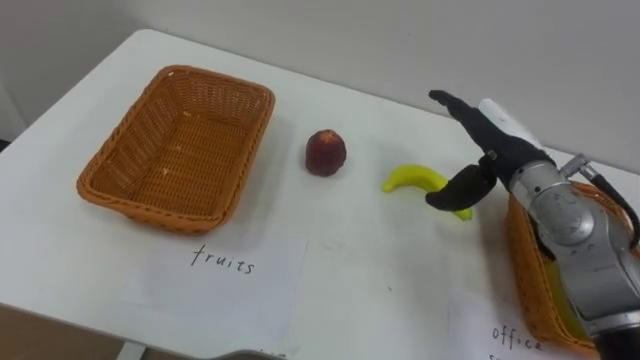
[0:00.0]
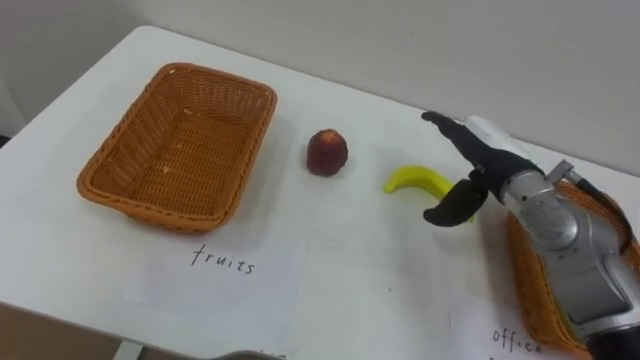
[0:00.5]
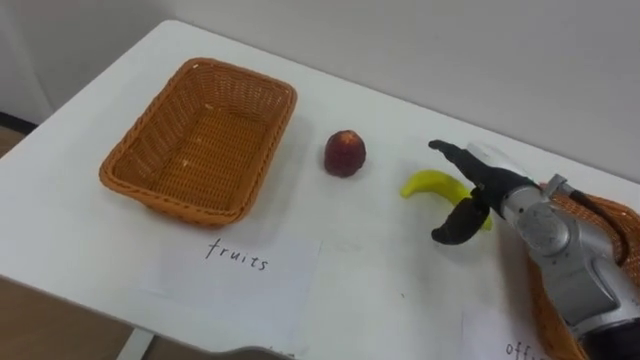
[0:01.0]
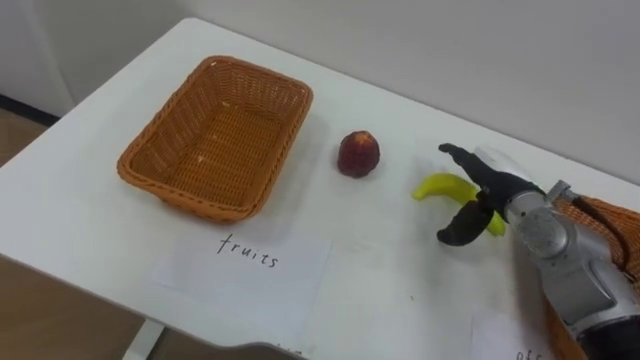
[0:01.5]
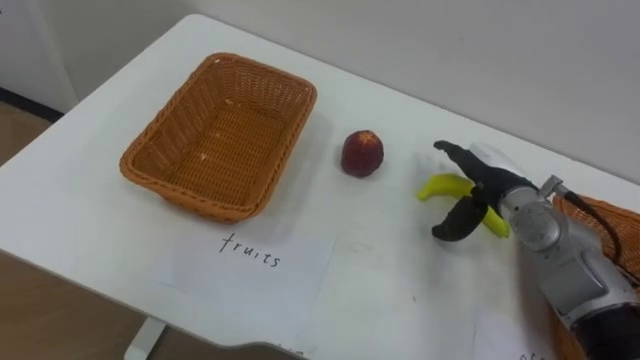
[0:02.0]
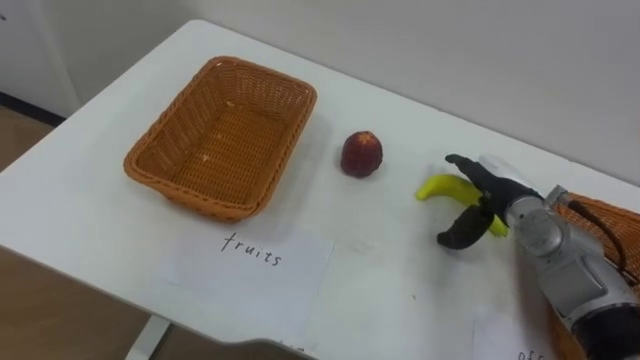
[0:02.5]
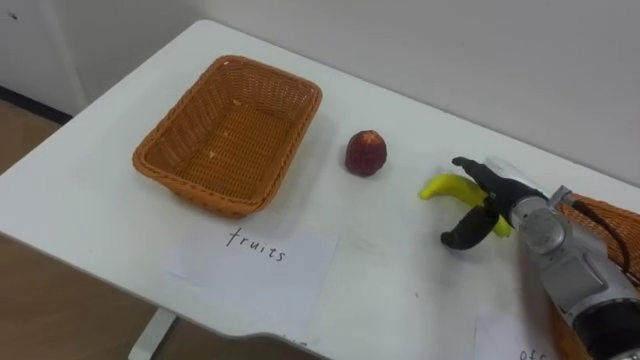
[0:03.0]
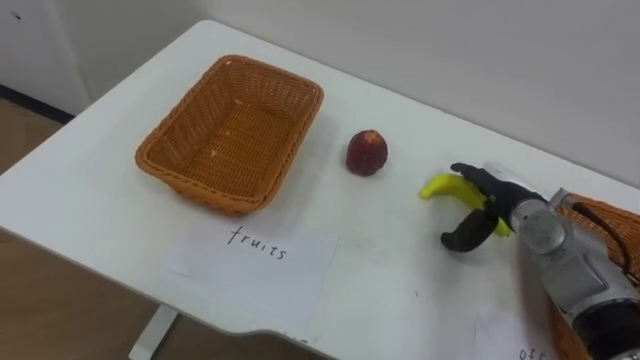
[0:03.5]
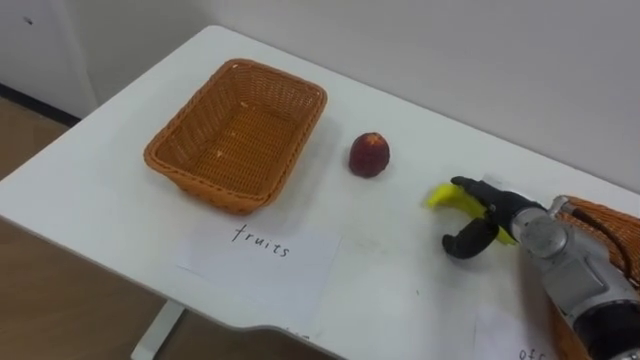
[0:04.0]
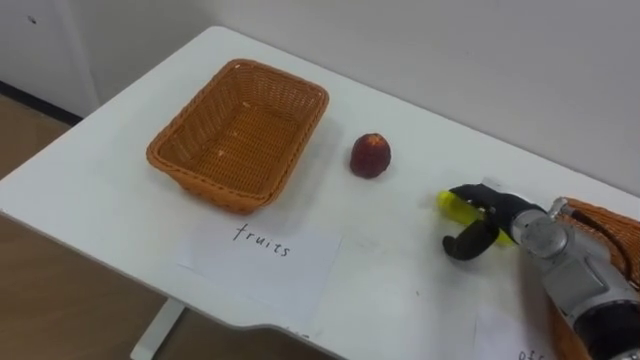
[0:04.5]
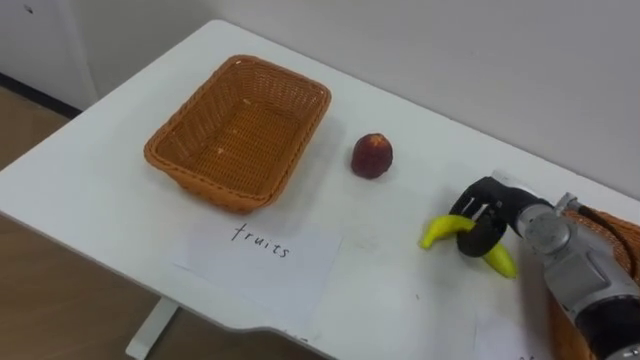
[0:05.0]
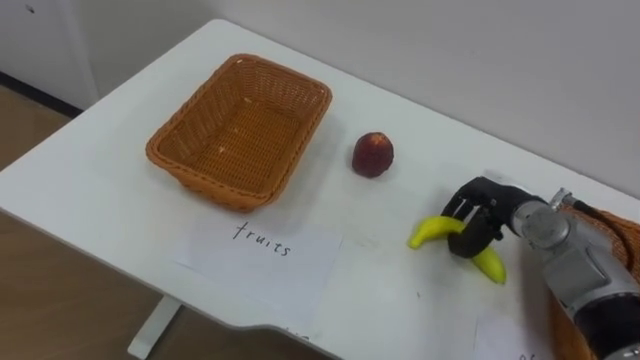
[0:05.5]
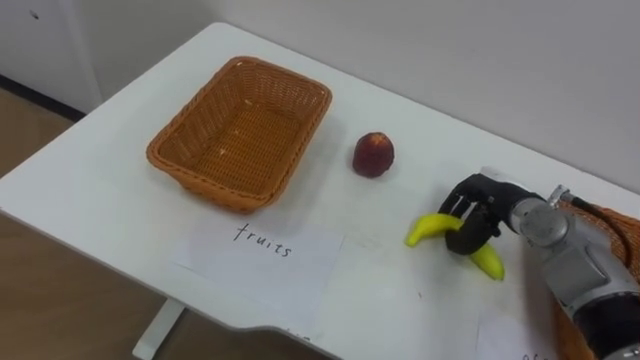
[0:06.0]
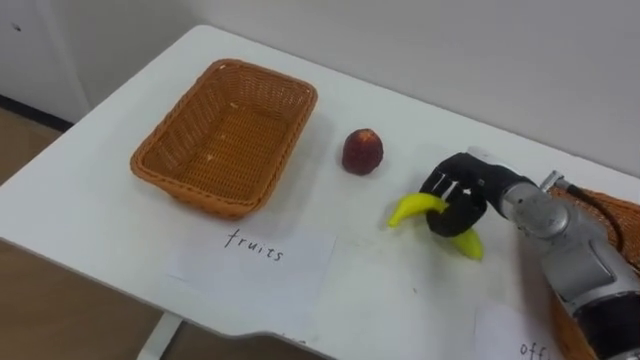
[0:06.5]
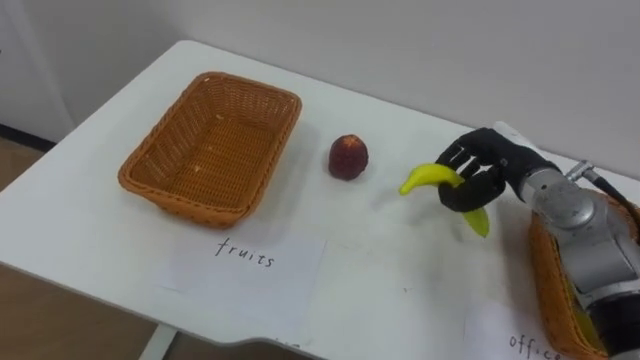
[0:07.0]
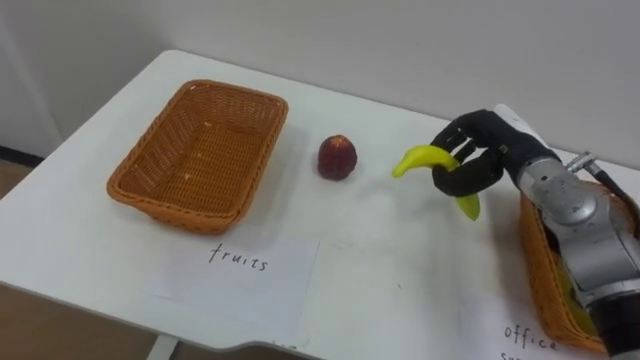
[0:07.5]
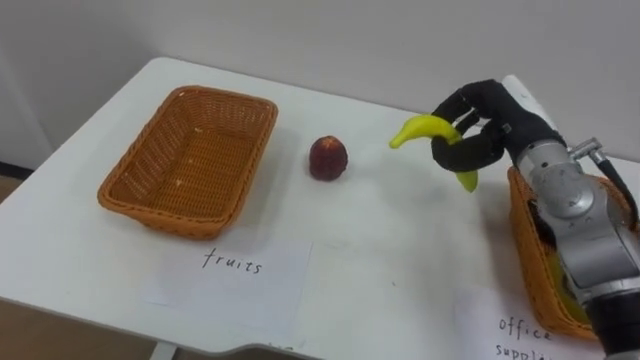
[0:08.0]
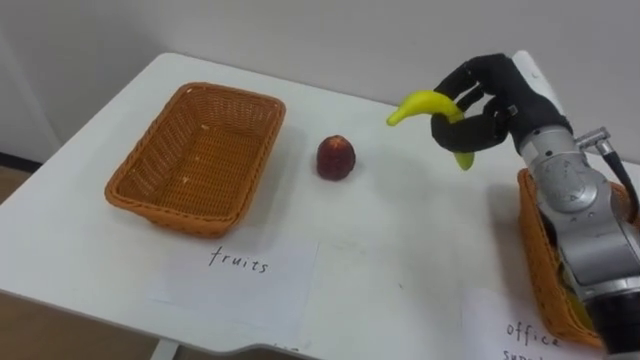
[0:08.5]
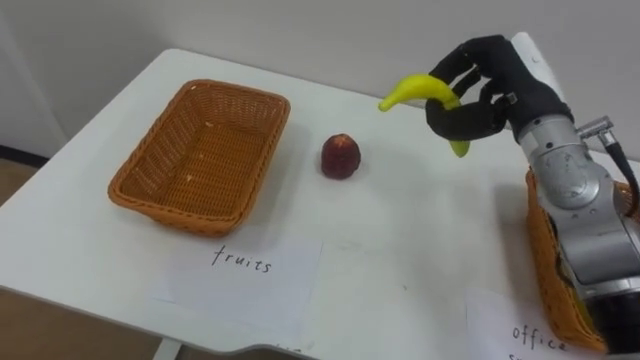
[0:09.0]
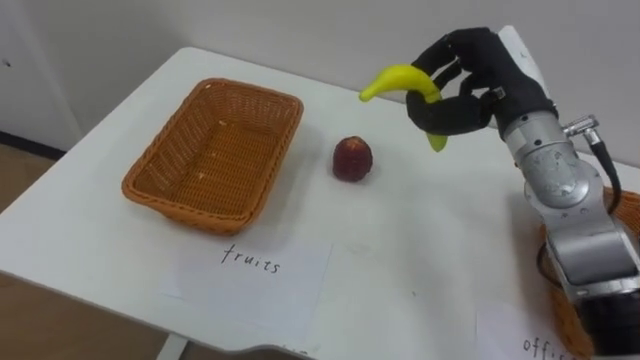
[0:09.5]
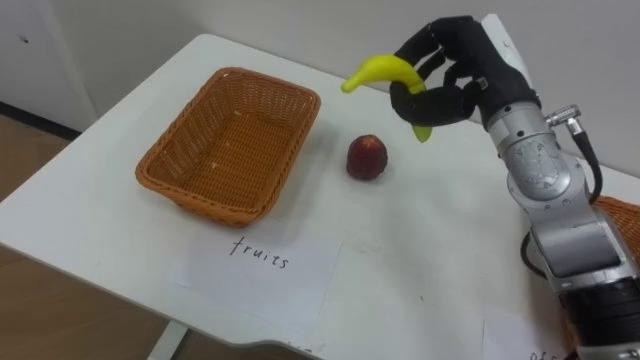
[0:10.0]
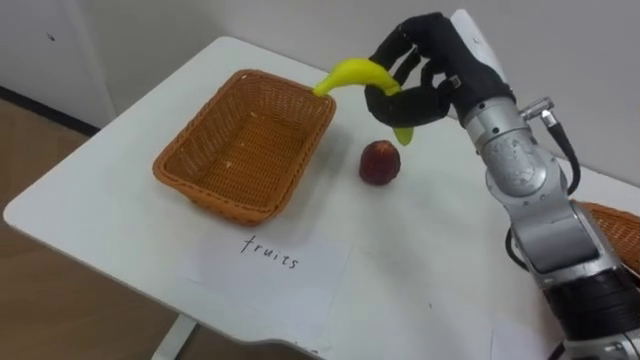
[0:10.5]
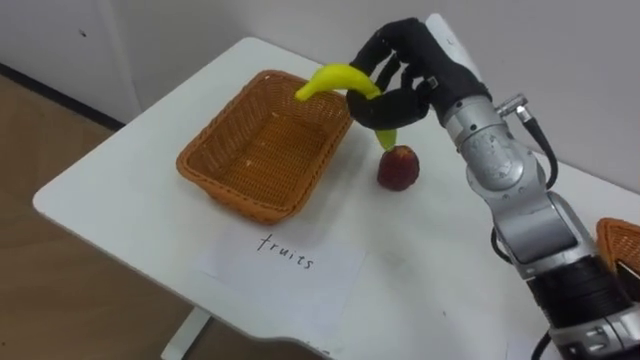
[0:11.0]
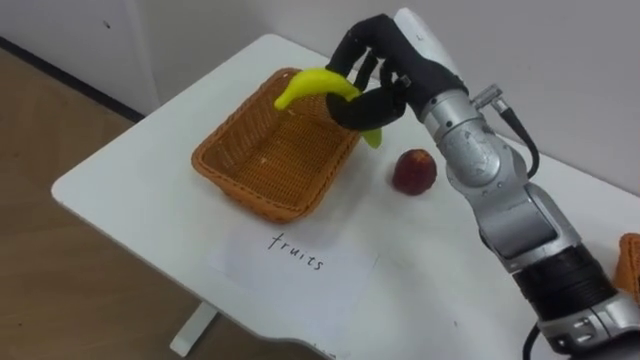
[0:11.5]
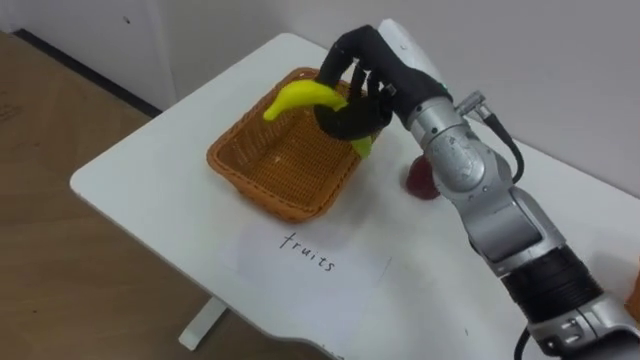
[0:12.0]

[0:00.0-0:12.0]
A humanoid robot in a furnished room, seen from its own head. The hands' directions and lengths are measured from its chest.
Task of the whole recording: Separate the items on the table and place them into the two baskets.
0.0 to 2.0 s: The right hand travels downward by some 5 cm.
2.0 to 4.0 s: The right hand moves roughly 5 cm.
4.0 to 6.0 s: The right hand closes.
6.0 to 8.0 s: The right hand is displaced upward by some 10 cm.
8.0 to 10.0 s: The right hand heads upward and to the left, covering approximately 10 cm.
10.0 to 12.0 s: The right hand goes about 10 cm to the left.

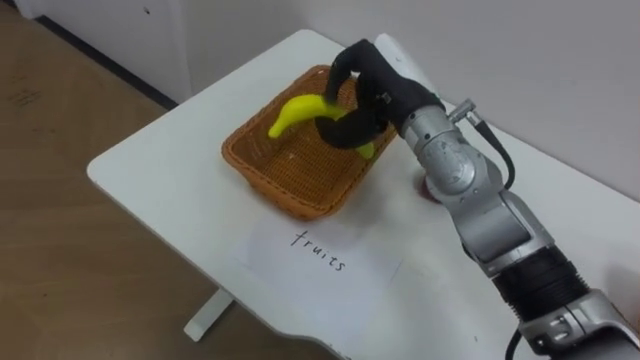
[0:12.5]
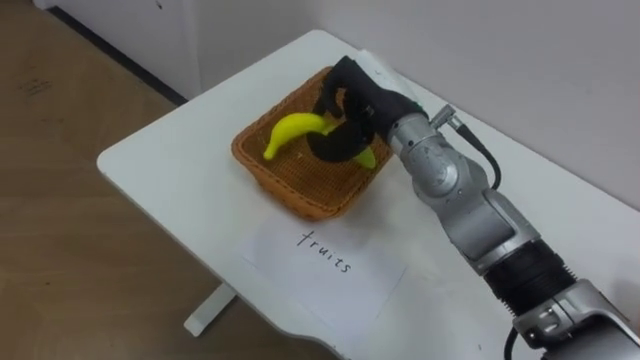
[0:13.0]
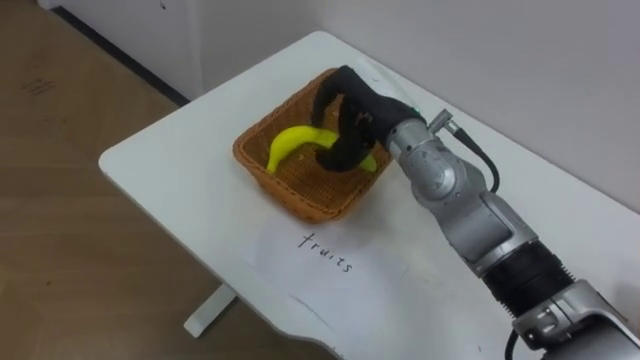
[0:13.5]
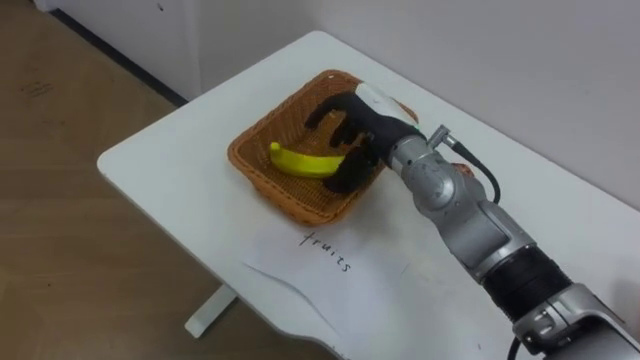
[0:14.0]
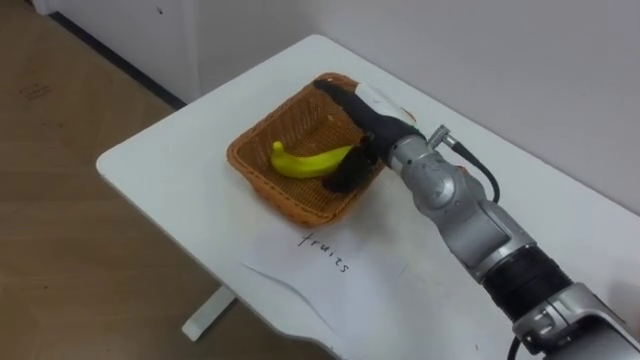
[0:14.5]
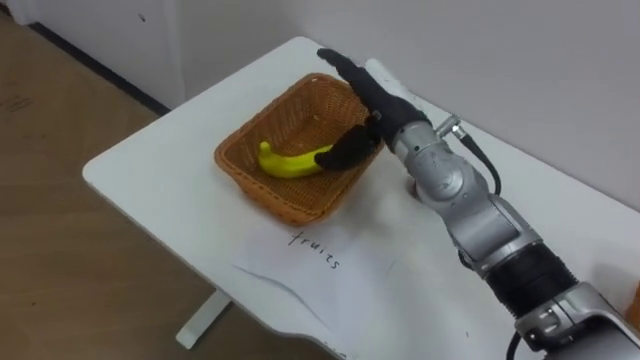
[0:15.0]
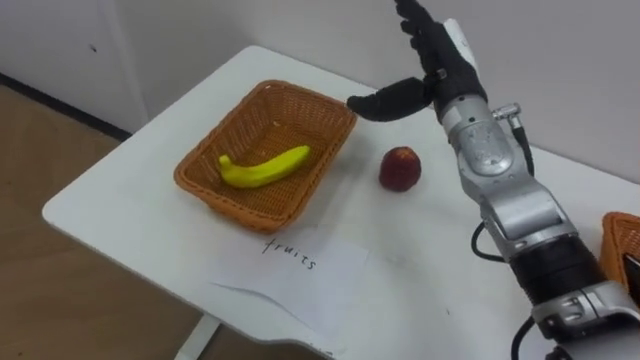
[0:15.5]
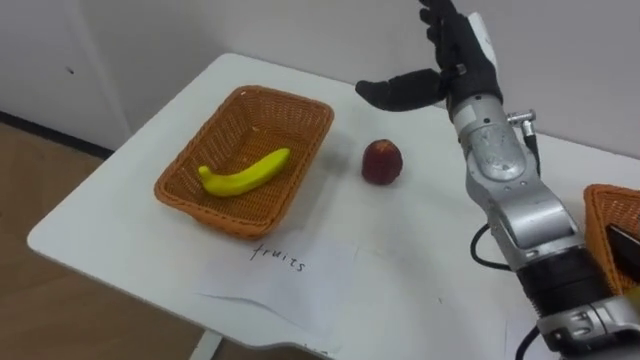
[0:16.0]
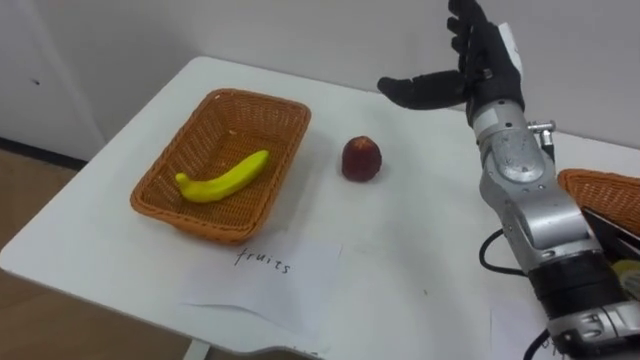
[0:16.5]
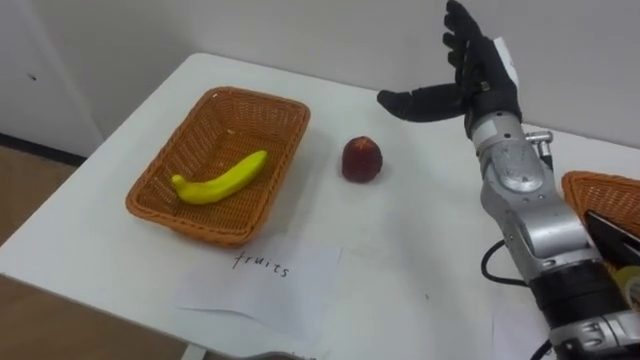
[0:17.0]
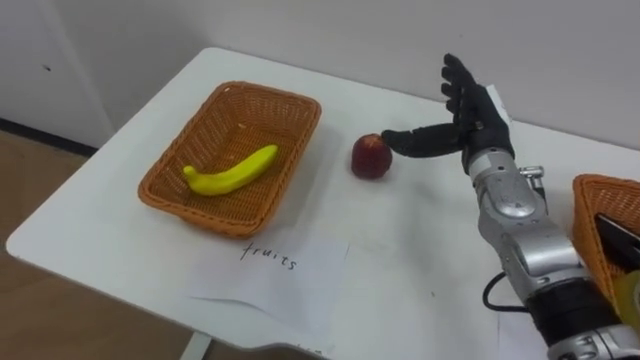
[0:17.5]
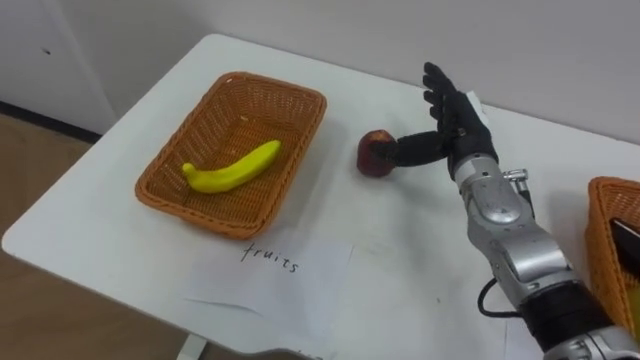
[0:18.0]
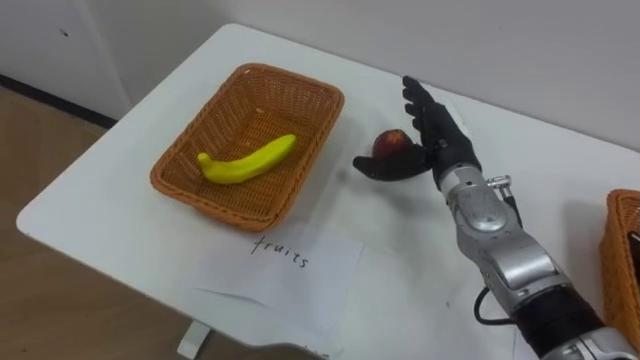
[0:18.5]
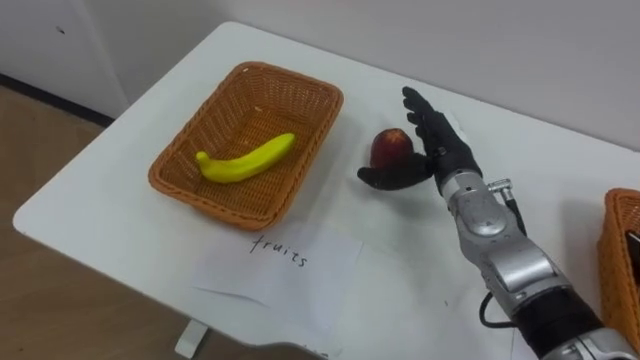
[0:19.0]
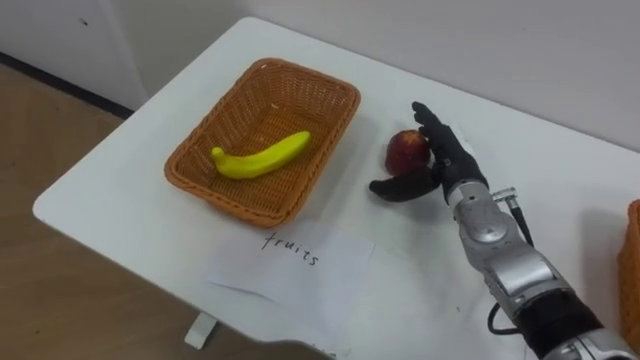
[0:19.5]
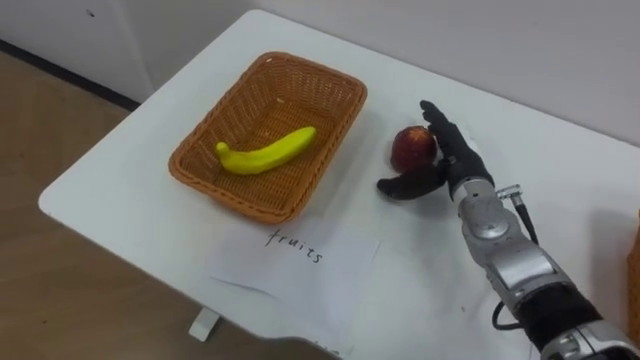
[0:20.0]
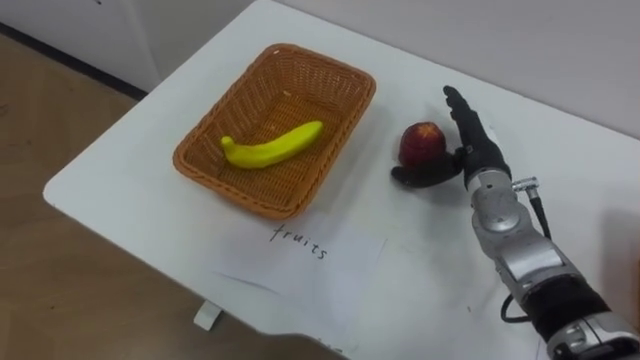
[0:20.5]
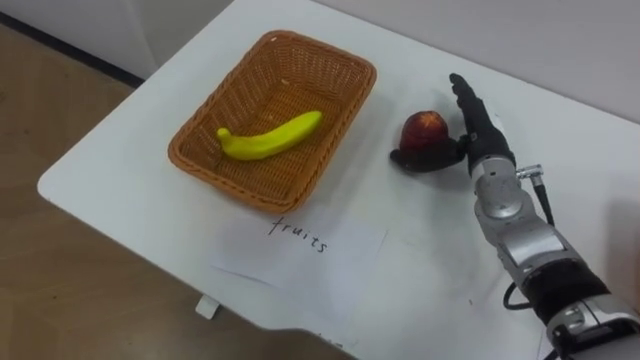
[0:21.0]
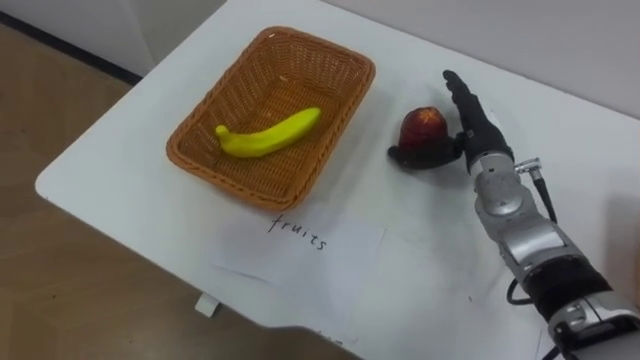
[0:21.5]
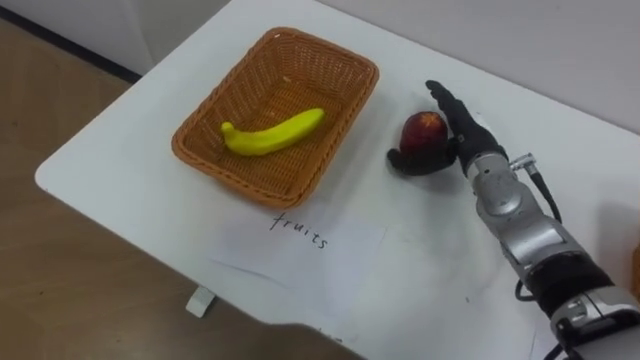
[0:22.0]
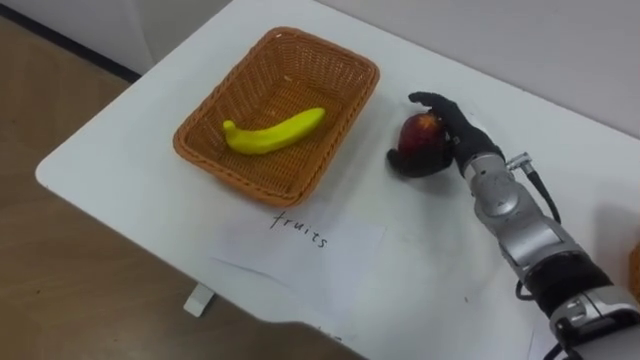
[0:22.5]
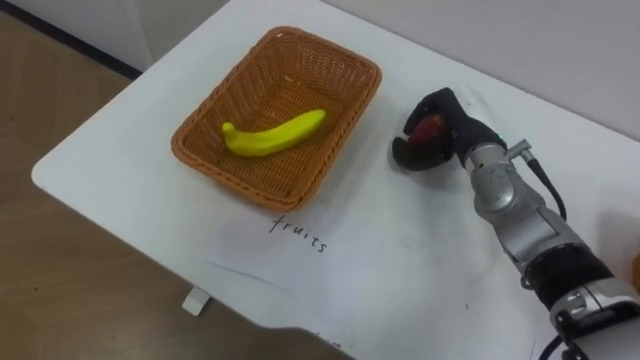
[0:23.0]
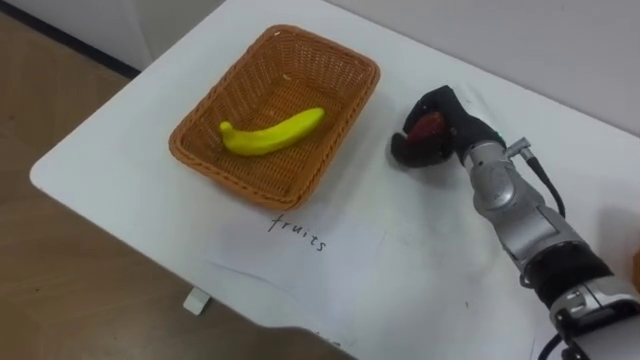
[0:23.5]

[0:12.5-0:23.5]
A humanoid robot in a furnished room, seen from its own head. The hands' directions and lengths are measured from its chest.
Task of the whole recording: Separate the items on the table and place them into the two baskets.
12.5 to 14.5 s: The right hand travels downward by some 5 cm, and opens.
14.5 to 16.0 s: The right hand is displaced to the right and upward by roughly 10 cm.
16.0 to 18.0 s: The right hand travels downward by about 10 cm.
21.5 to 23.5 s: The right hand closes its fingers.
